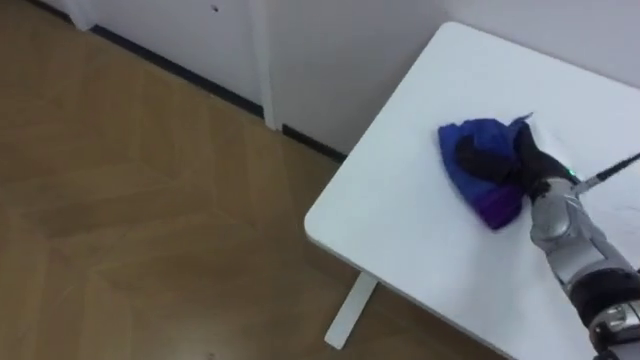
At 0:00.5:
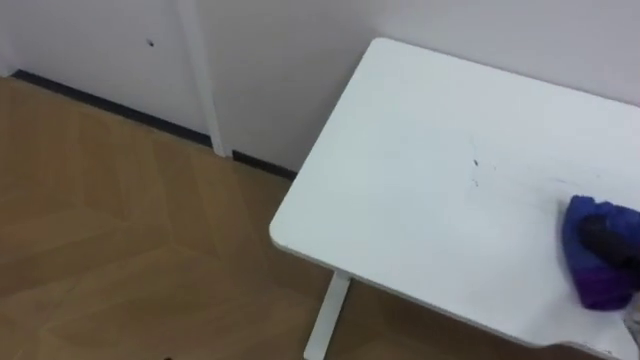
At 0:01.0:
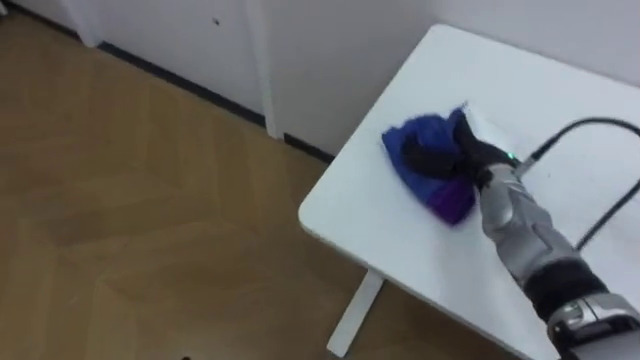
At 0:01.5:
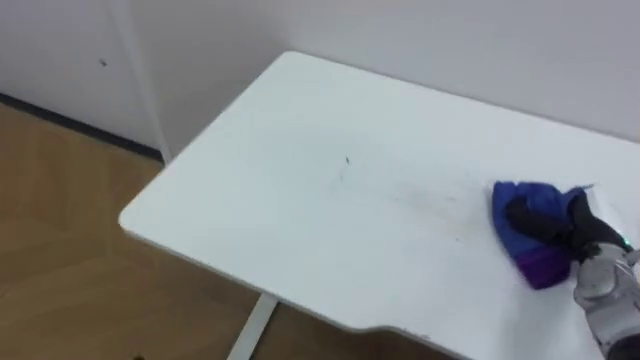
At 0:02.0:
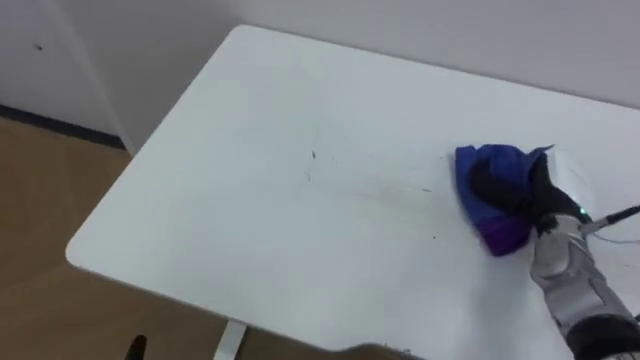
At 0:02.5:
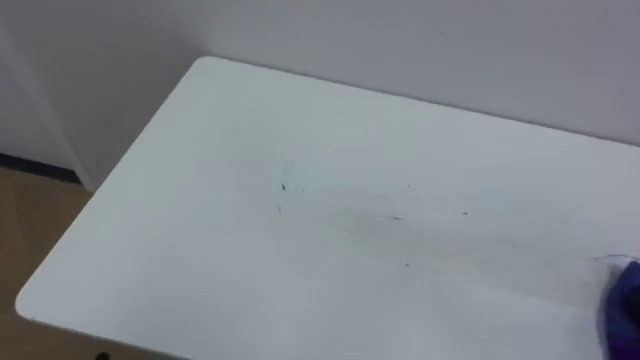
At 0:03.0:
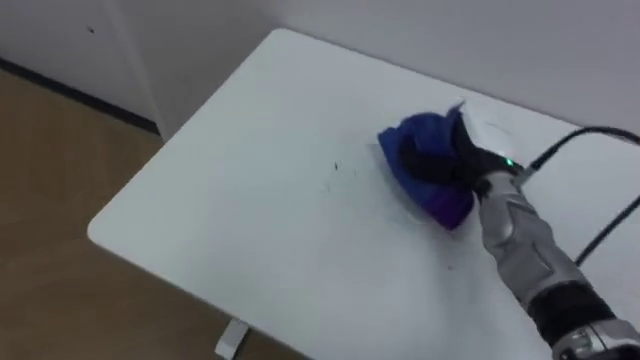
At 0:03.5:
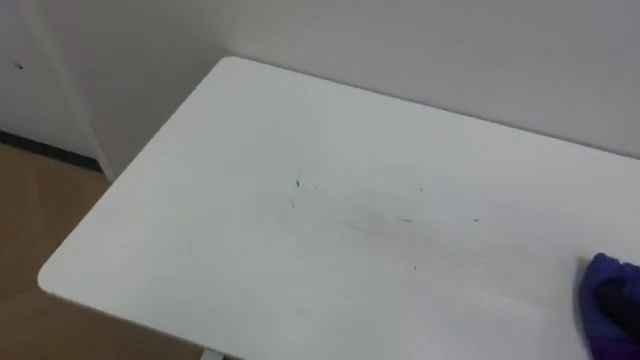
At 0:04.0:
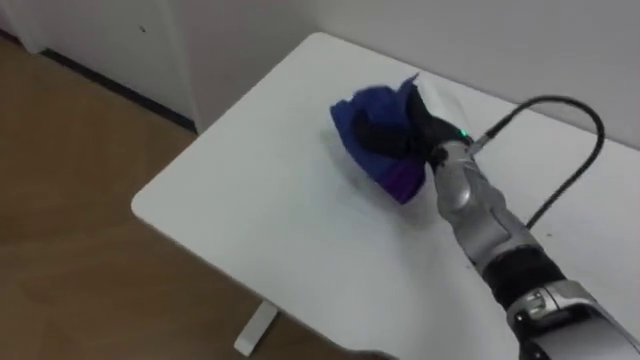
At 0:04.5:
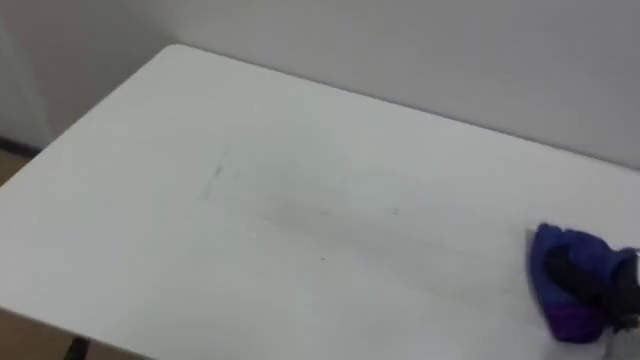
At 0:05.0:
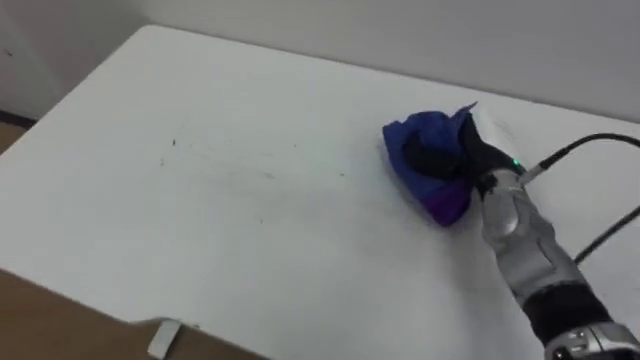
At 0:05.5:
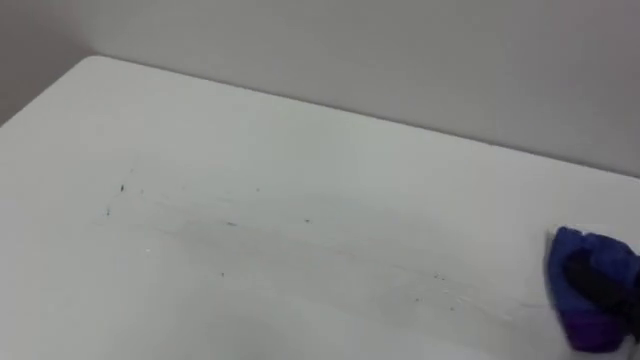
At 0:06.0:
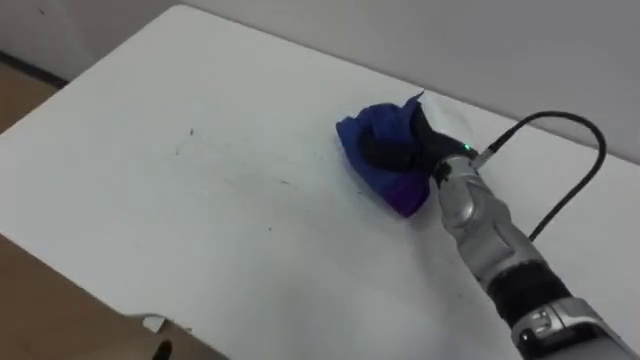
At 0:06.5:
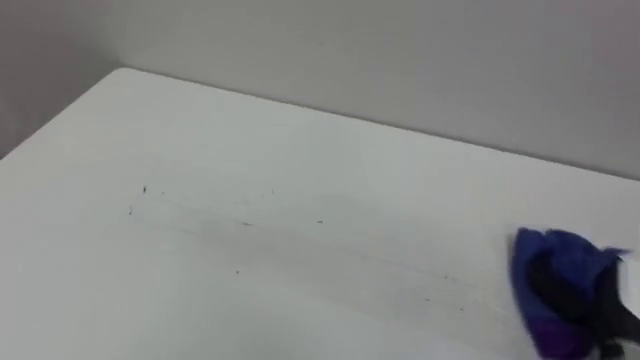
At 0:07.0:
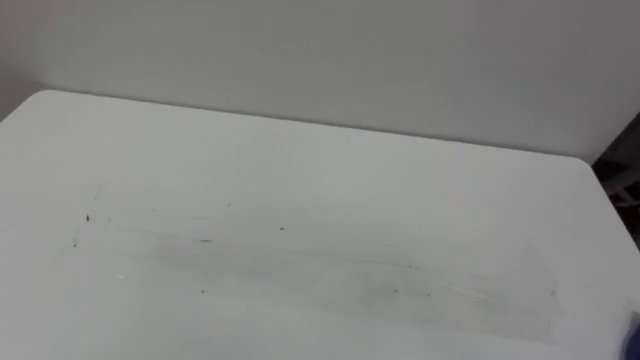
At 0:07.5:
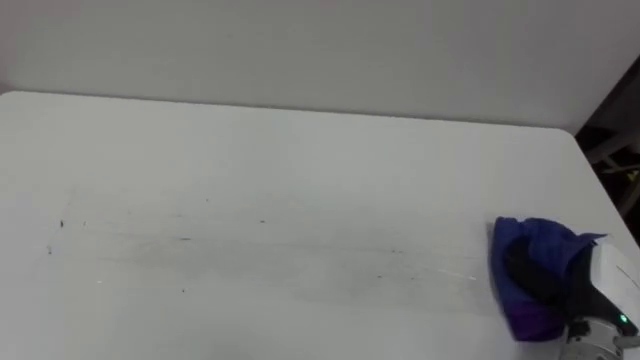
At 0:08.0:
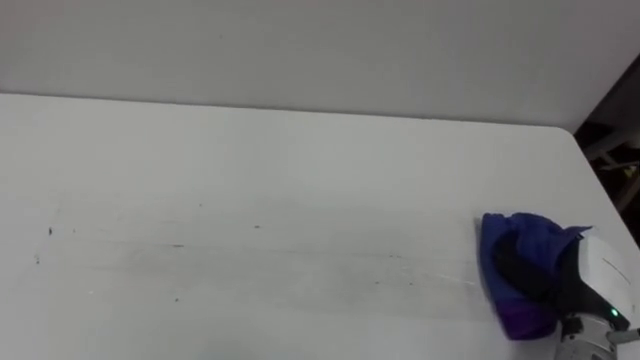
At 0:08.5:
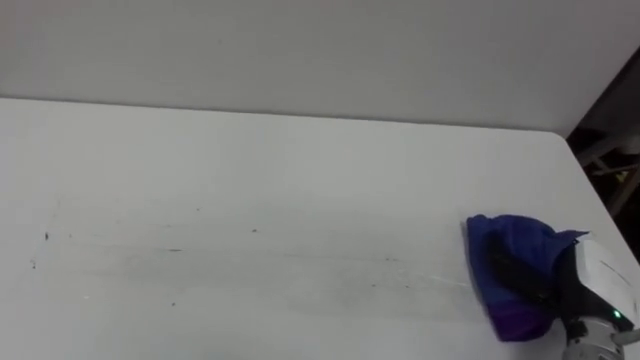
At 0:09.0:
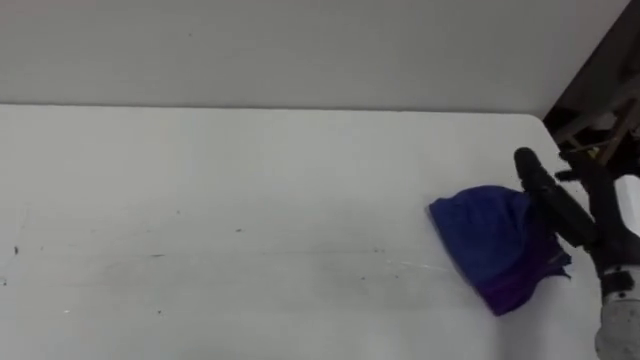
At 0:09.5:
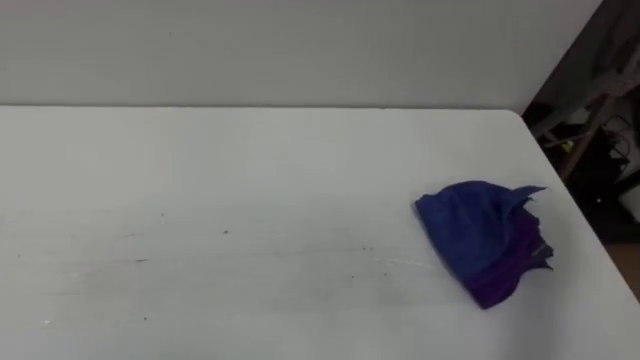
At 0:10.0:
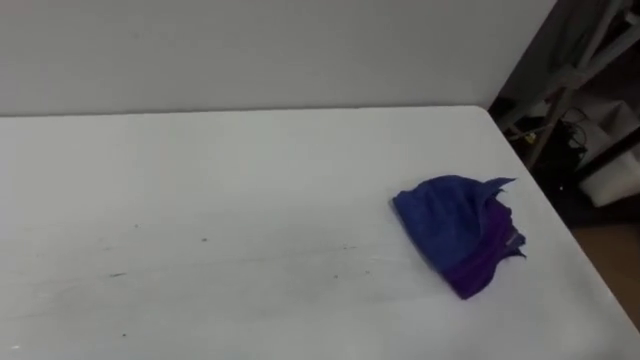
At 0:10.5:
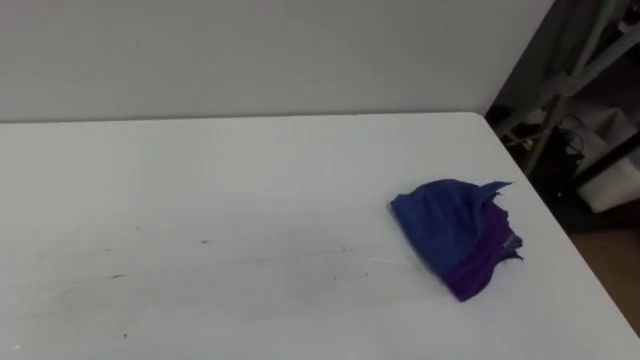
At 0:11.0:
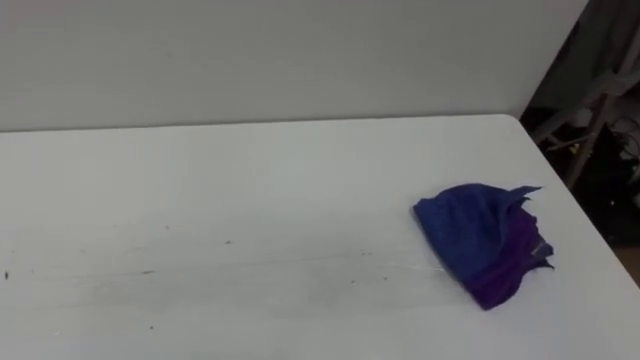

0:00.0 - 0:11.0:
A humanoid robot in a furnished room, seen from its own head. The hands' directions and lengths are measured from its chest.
Task of the whole recording: Wipe the blue pen marks off the table with the rag.
0:07.5 - 0:09.0: The right hand travels upward by approximately 10 cm, and opens its fingers.

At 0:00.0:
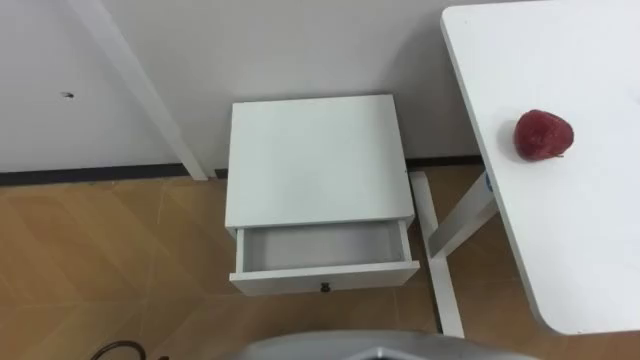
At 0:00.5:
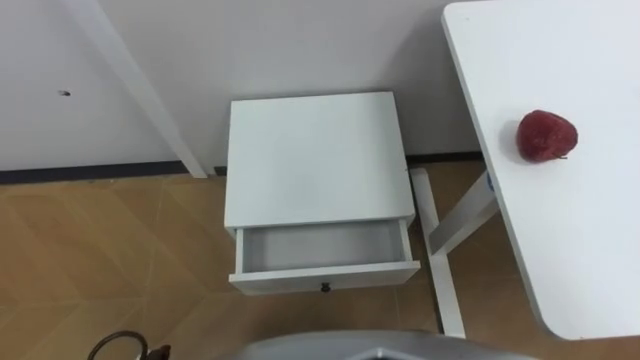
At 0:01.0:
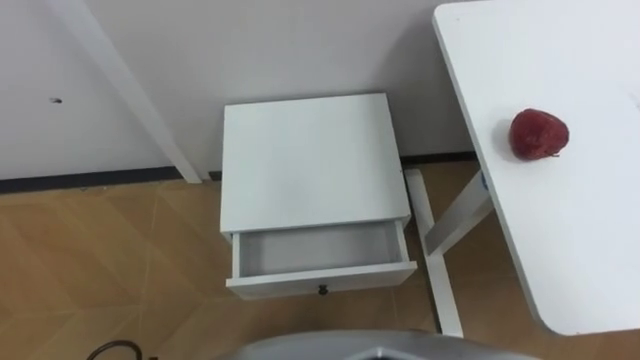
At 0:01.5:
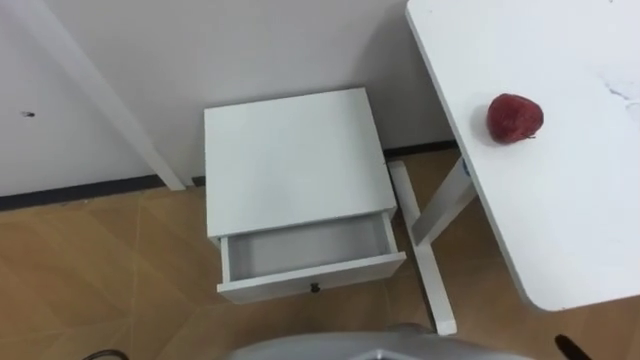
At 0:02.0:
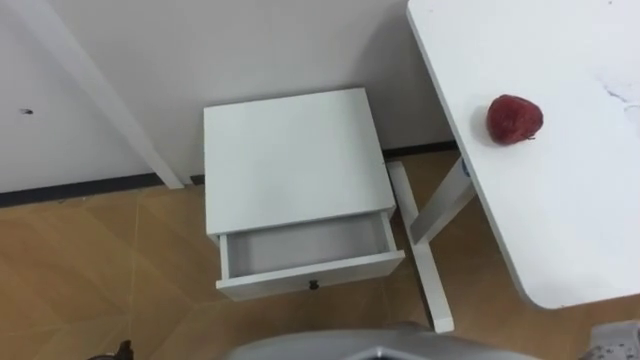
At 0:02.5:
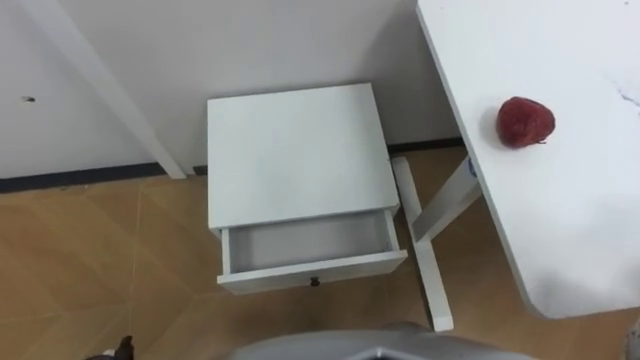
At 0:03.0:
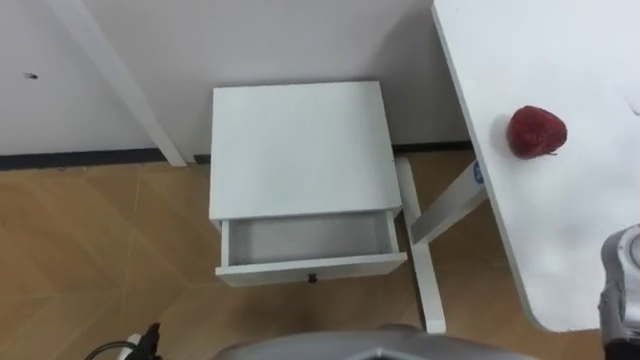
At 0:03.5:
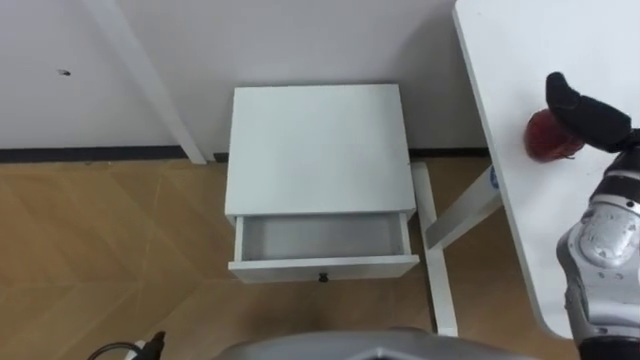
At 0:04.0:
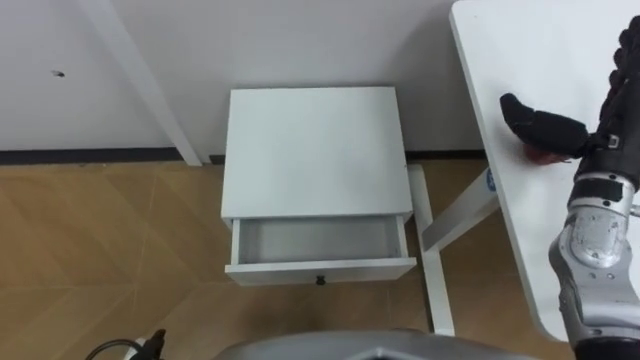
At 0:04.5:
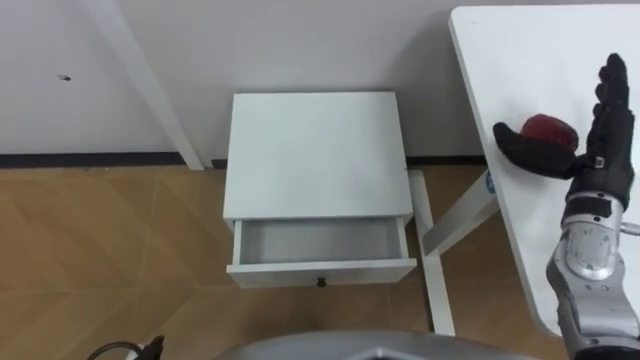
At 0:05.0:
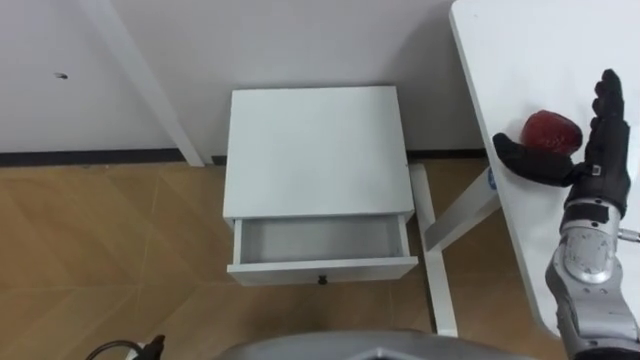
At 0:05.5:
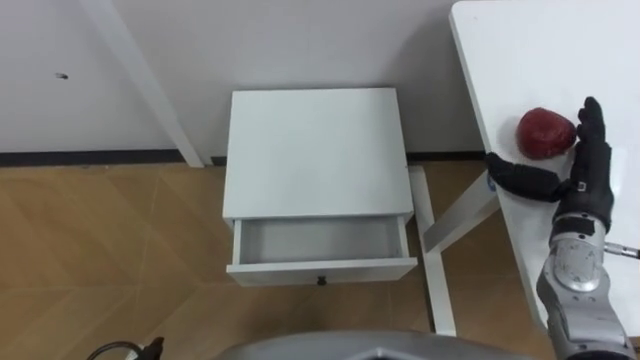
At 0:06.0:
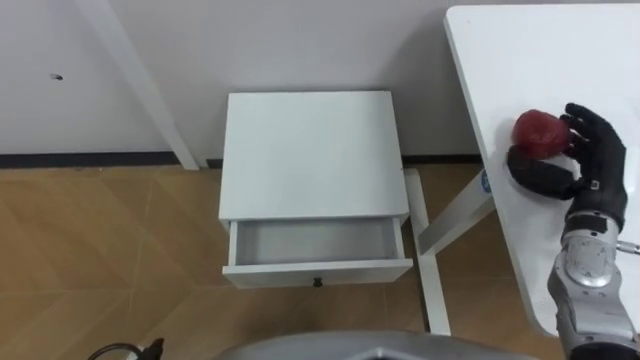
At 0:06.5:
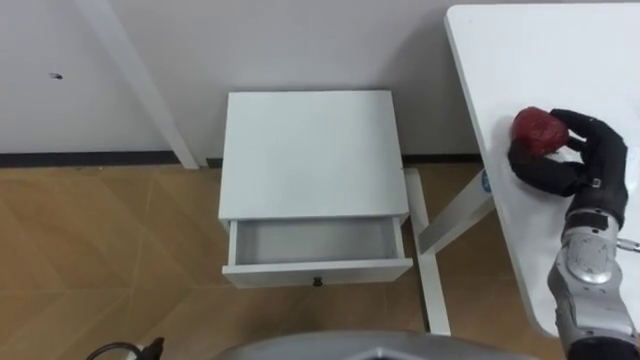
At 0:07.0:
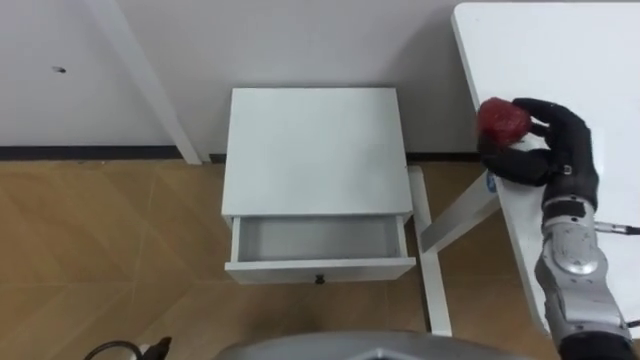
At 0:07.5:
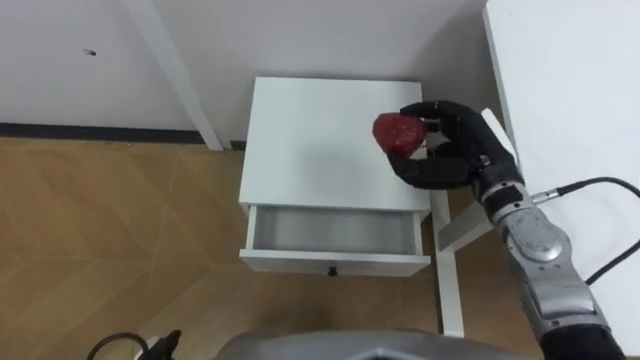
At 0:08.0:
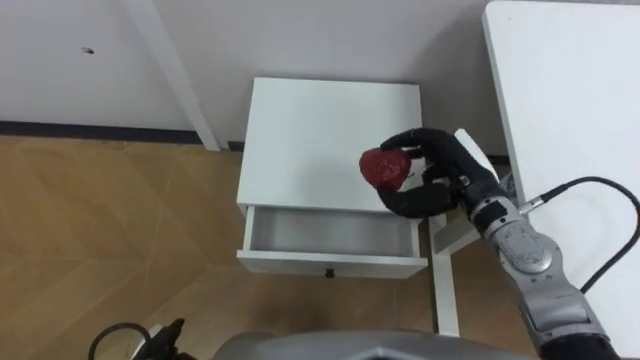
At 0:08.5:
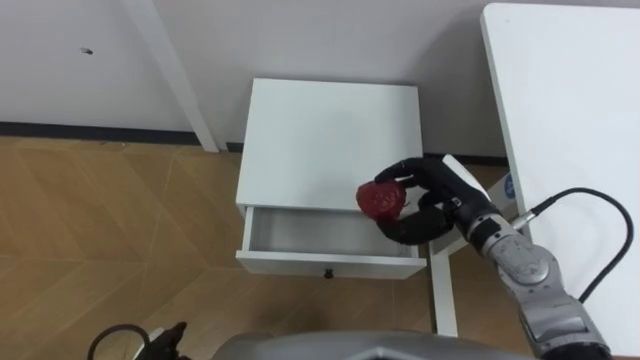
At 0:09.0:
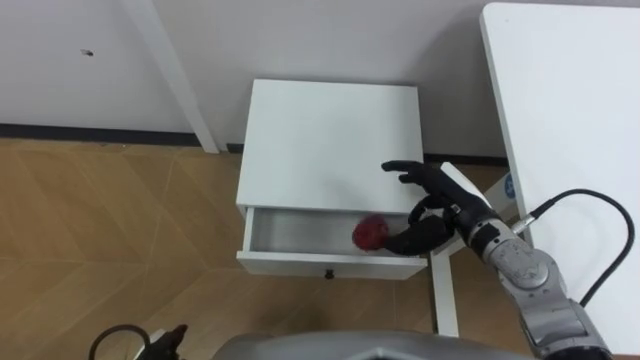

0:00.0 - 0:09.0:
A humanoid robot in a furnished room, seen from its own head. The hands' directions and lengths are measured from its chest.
Task of the whole recording: Pick up the apple from the table, put it in the drawer, and close the drawer with leg.
0:04.5 - 0:07.0: The right hand closes its fingers.
0:07.0 - 0:09.0: The right hand shifts some 10 cm to the left.
